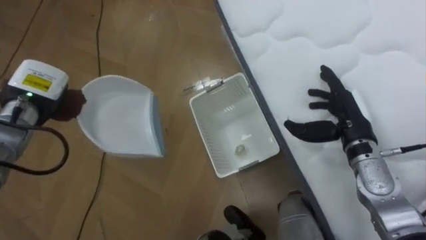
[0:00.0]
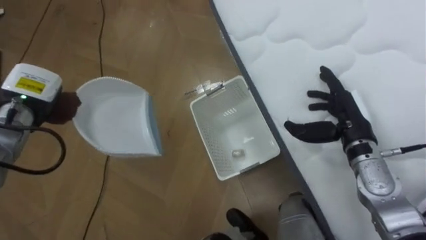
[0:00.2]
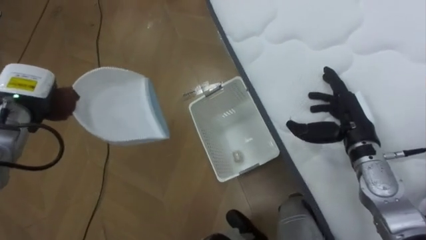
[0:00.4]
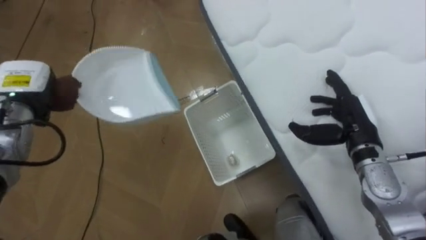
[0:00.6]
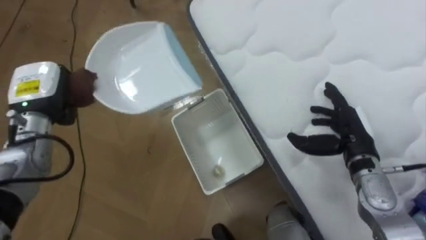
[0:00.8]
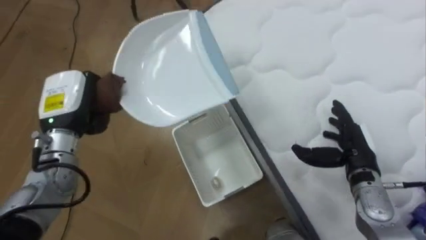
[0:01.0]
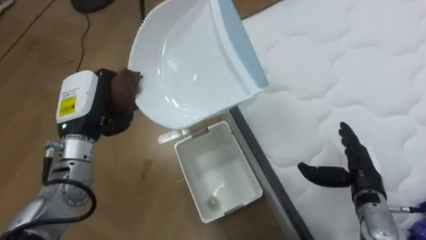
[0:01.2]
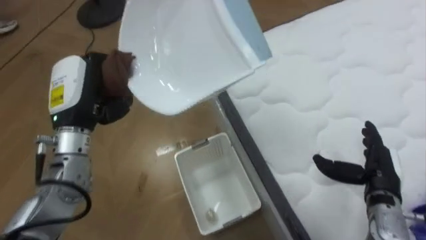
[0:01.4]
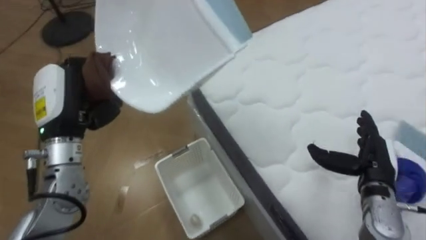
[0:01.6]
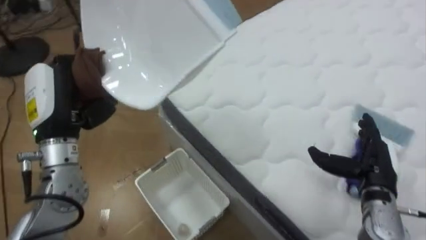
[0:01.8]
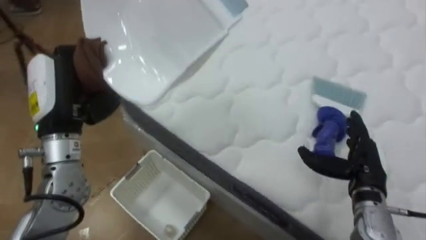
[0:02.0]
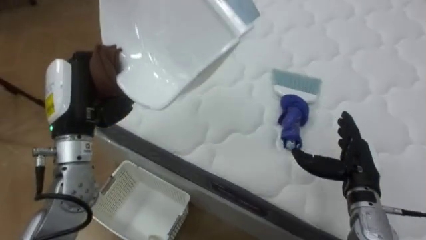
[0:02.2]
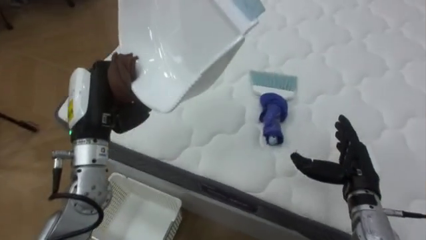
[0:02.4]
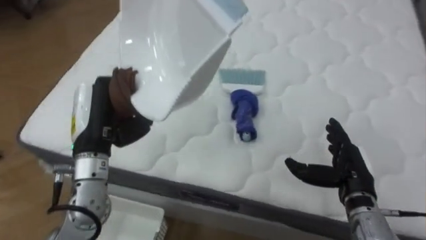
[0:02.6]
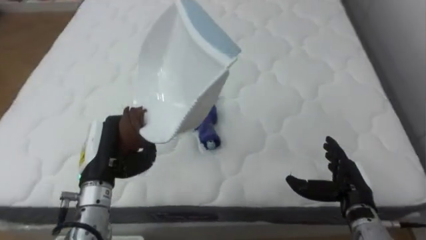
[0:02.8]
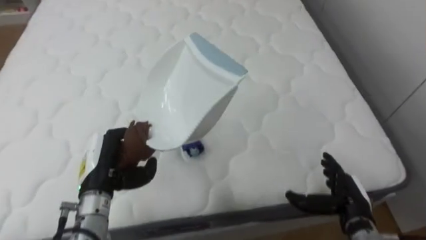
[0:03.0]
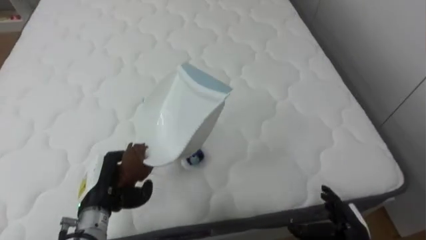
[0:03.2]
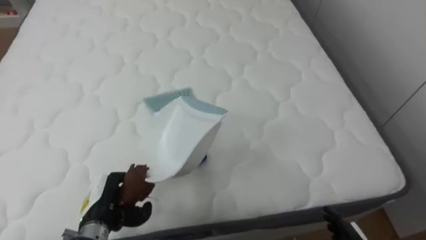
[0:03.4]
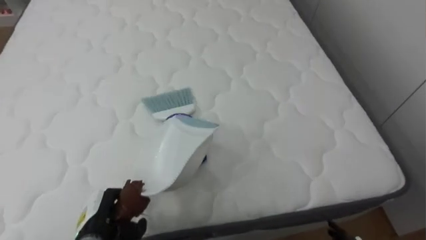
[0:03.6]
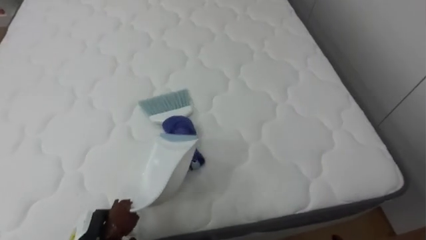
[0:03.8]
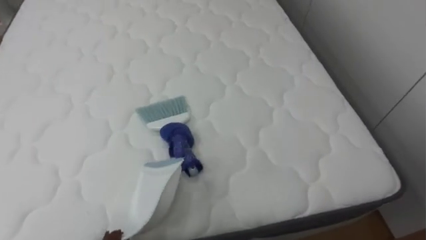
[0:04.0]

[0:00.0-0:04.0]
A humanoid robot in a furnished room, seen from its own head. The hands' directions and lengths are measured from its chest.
Task of the whole recording: Pick up the brush on your right and the dustpan on your left. Use the brush to sweep the crumpled paper on the bed into the dustpan, then turn left and empty it into the basket.
0:00.0 to 0:01.4: The left hand moves to the right and backward, about 10 cm. The right hand goes roughly 10 cm backward, downward and to the right.
0:01.4 to 0:02.6: The robot's body swings some 55 degrees to its right.
0:02.6 to 0:04.0: The robot's body swings roughly 30 degrees to its right.
